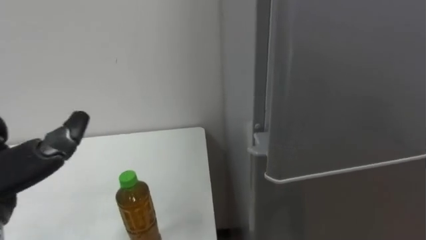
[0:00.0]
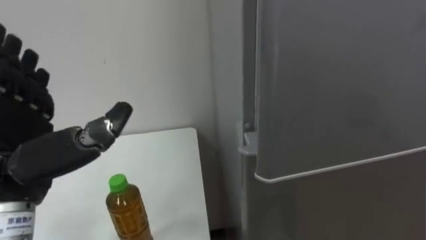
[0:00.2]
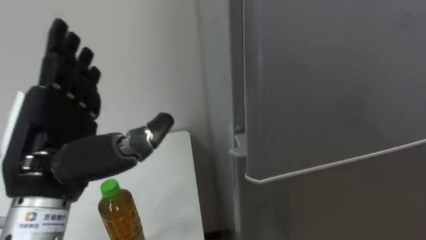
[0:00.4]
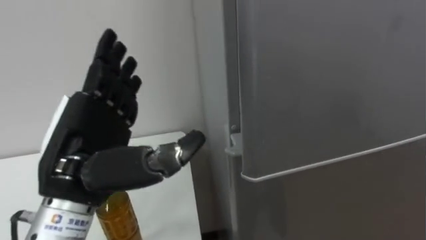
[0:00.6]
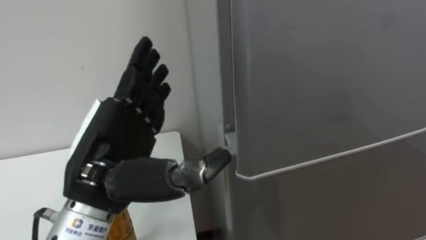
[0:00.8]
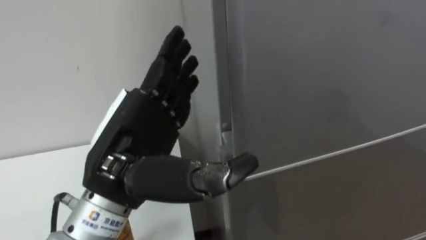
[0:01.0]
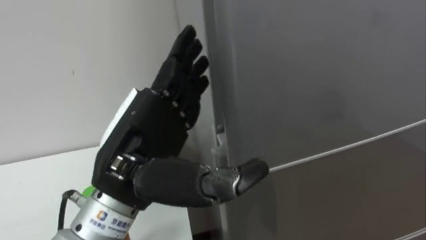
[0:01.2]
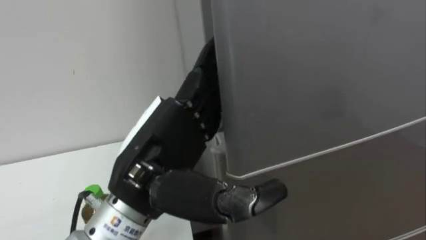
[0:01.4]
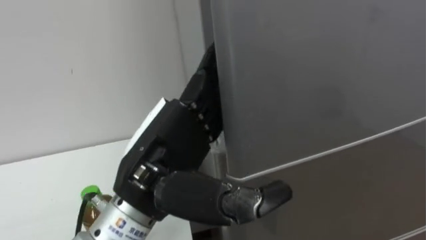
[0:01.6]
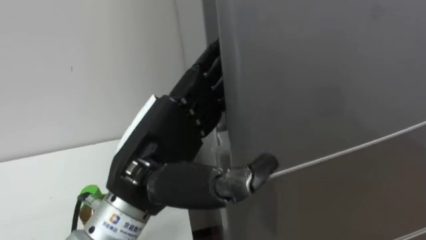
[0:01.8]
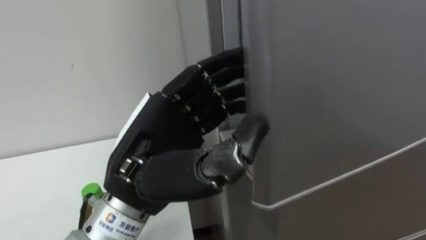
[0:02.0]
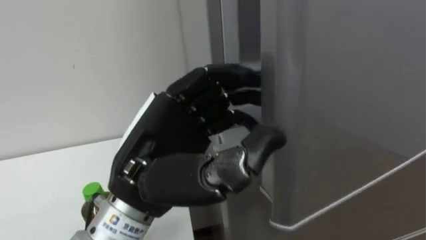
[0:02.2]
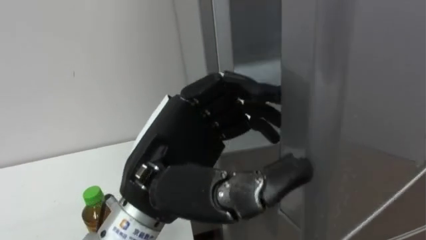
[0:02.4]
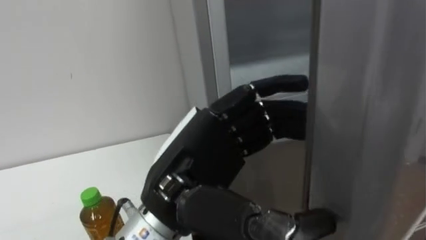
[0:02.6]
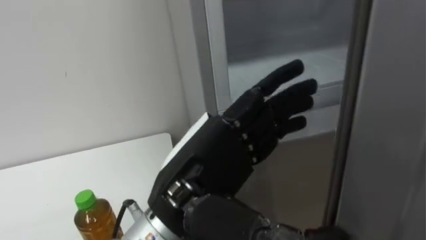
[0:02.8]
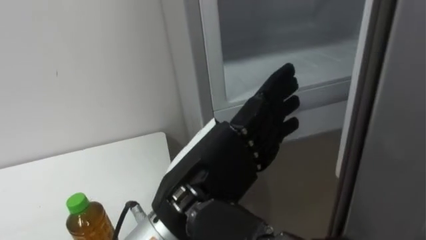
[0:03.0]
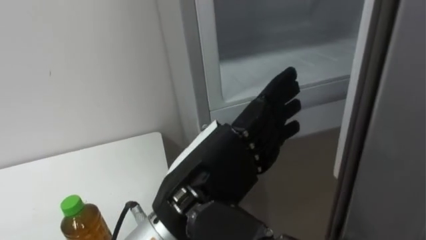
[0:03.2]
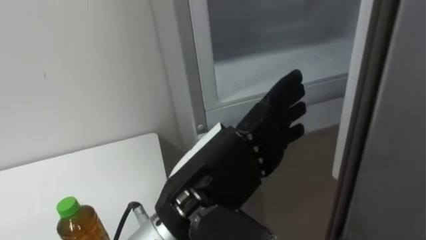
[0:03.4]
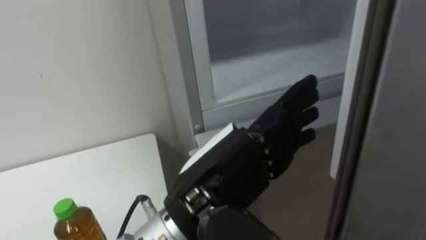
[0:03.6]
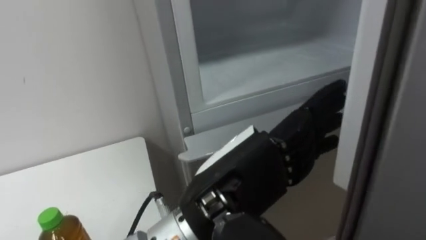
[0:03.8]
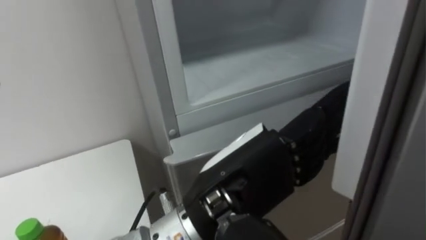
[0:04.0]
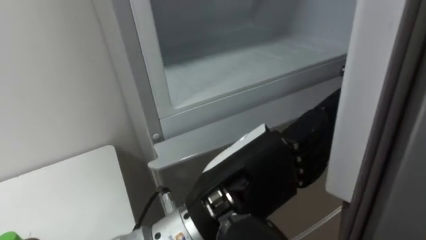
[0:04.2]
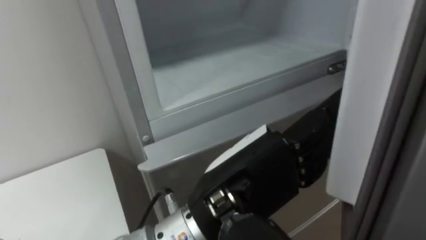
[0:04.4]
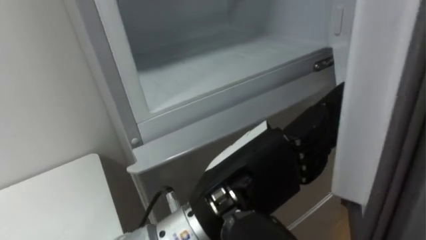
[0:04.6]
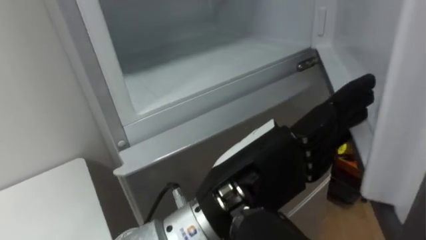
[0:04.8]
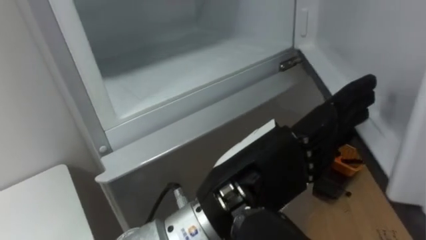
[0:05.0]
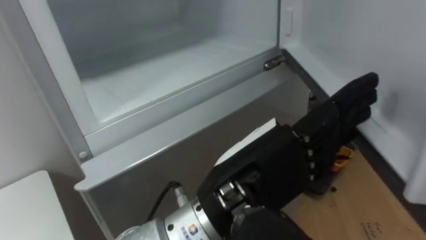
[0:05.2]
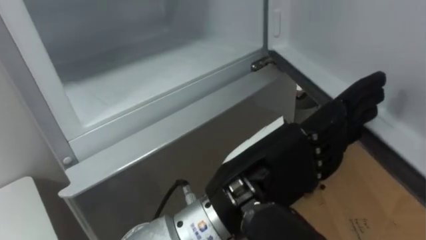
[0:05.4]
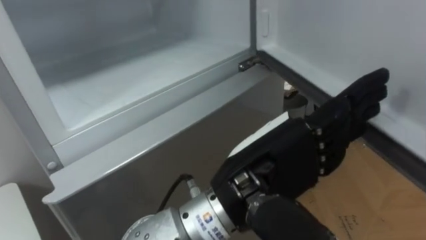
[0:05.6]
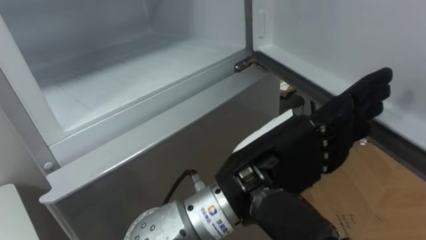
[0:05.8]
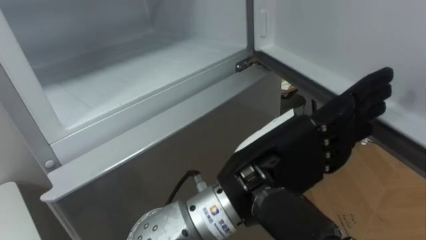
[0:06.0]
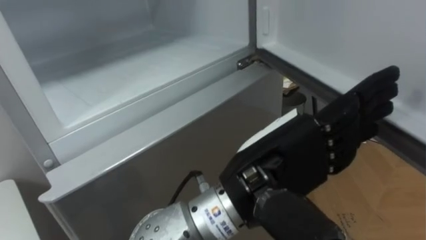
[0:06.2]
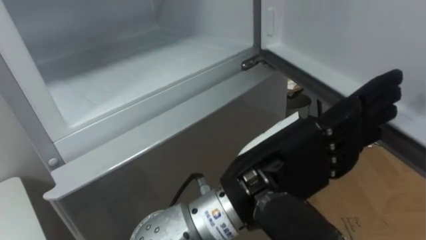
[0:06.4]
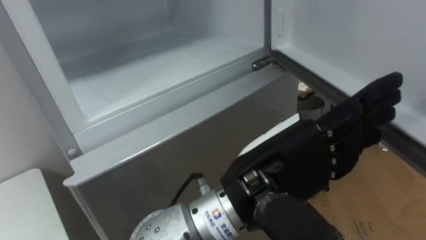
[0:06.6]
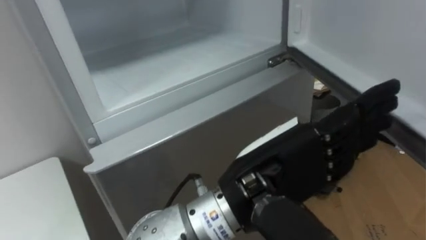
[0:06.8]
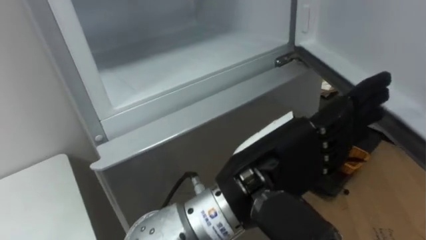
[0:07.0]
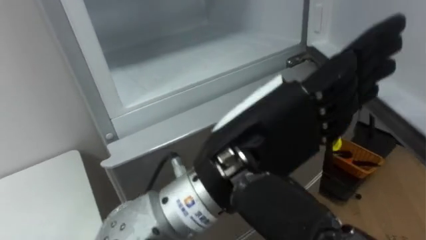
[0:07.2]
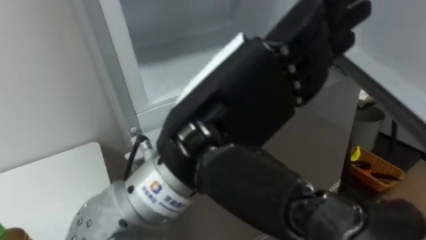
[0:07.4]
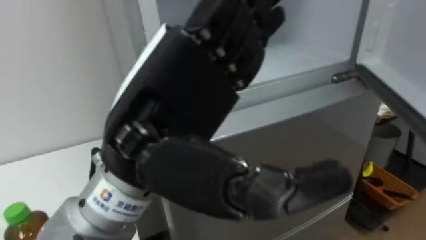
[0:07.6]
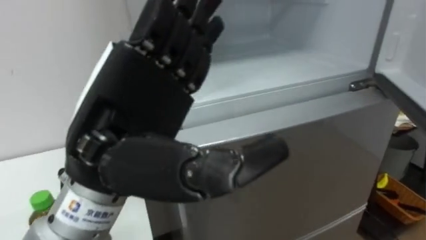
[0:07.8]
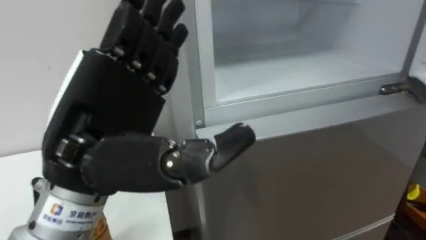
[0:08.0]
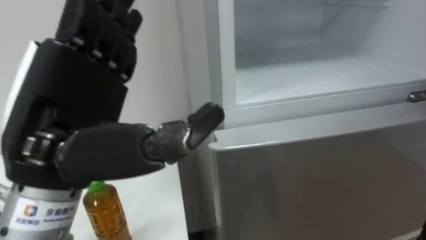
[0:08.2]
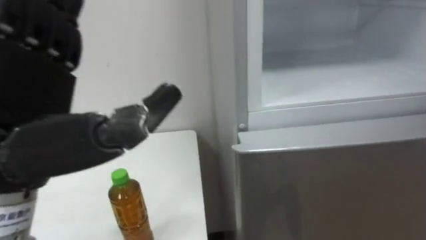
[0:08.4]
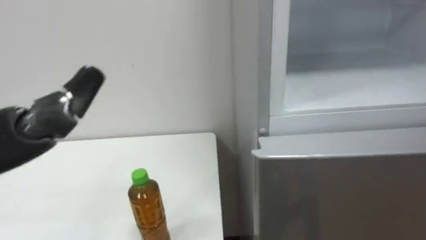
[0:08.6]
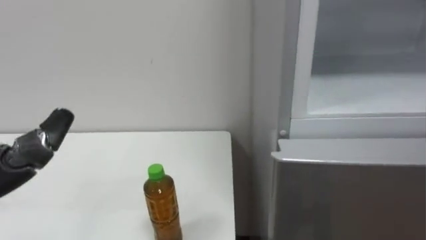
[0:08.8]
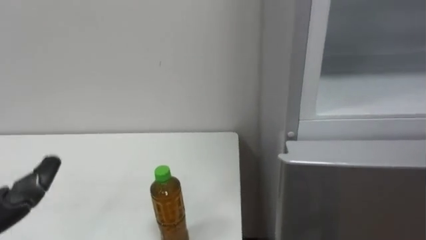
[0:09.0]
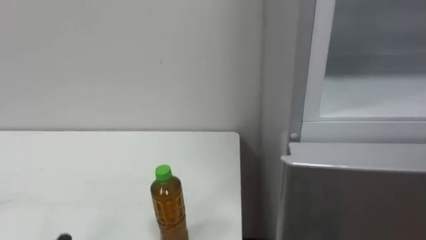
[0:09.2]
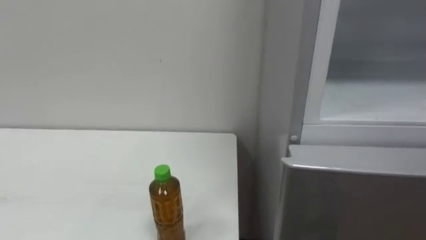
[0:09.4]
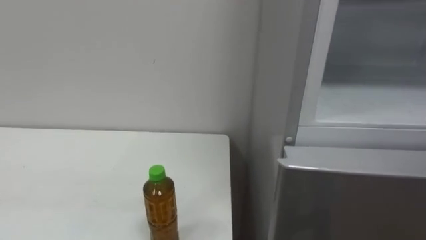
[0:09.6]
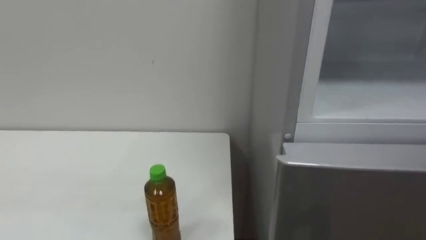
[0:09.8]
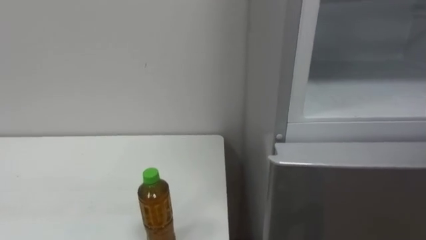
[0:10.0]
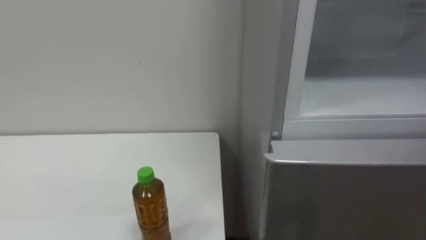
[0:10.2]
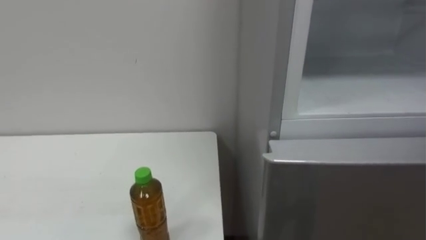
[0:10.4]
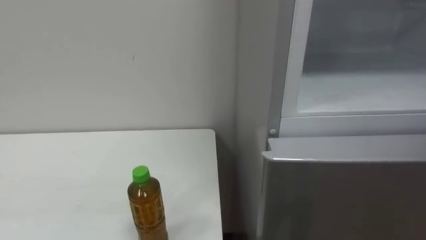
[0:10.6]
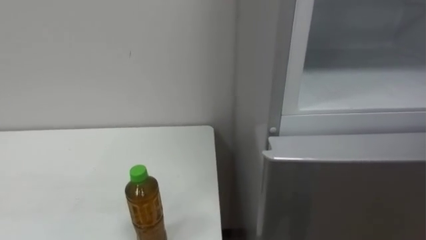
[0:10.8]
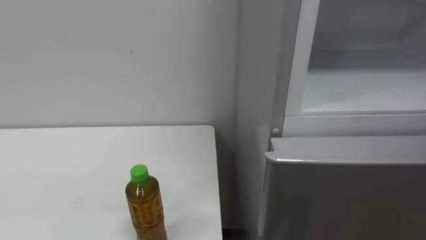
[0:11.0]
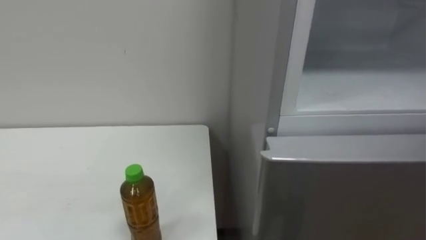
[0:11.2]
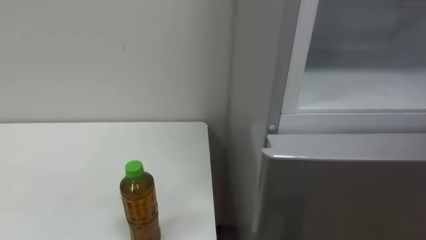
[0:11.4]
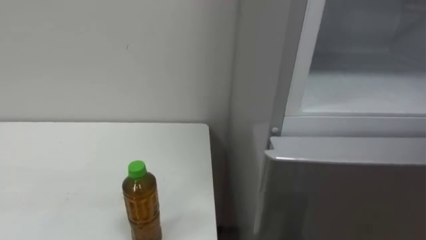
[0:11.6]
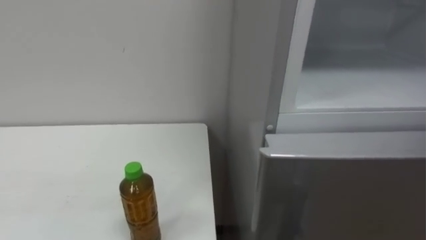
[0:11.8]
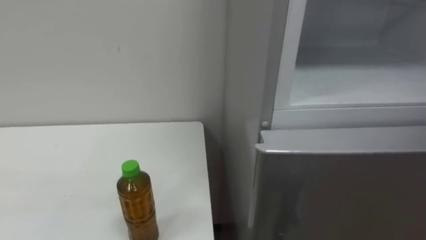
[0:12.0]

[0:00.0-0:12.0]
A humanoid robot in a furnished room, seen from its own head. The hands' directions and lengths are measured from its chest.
Task of the whole recording: Open the upper refrigerator door, put the drink from the table into the refrigerator, and then close the refrigerator door.
0:01.6 to 0:03.0: The left hand closes, then reopens.
0:06.0 to 0:07.6: The left hand goes about 10 cm to the left and upward.

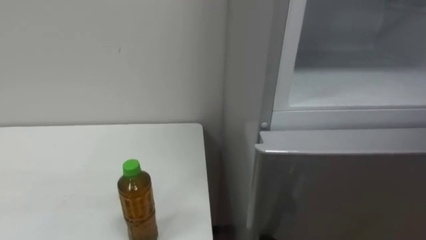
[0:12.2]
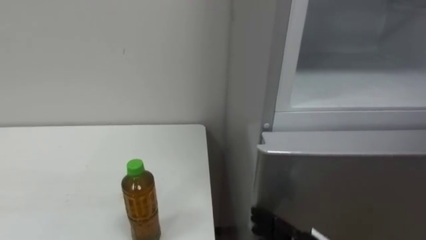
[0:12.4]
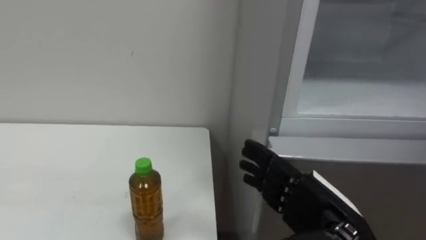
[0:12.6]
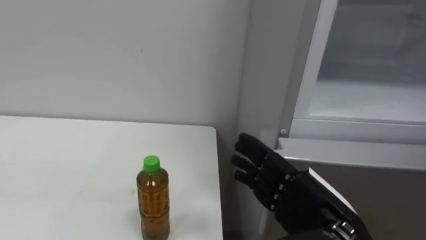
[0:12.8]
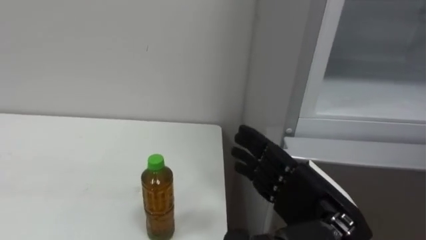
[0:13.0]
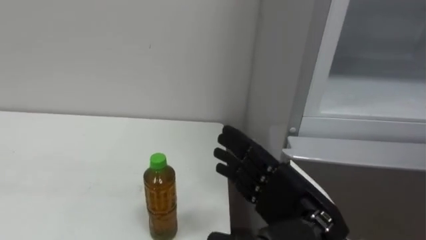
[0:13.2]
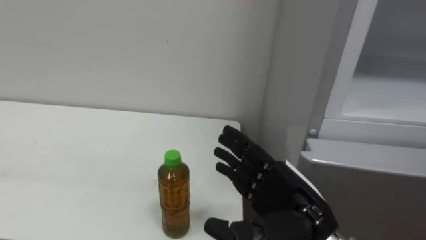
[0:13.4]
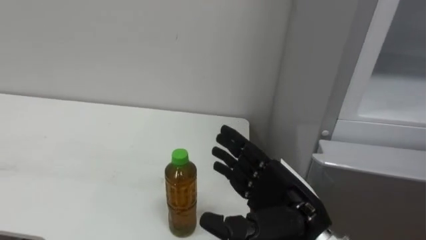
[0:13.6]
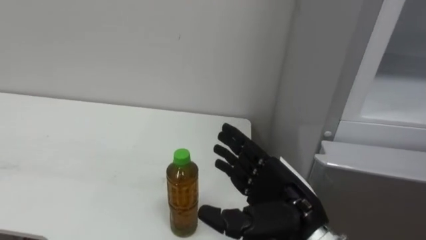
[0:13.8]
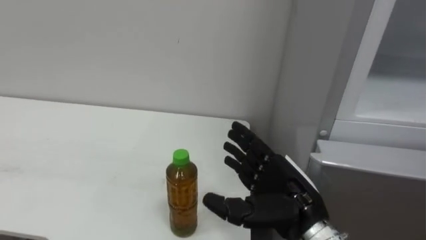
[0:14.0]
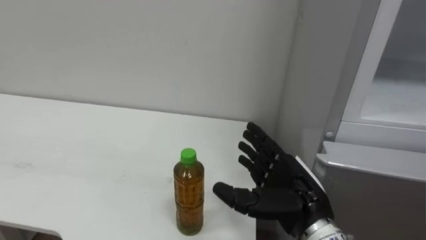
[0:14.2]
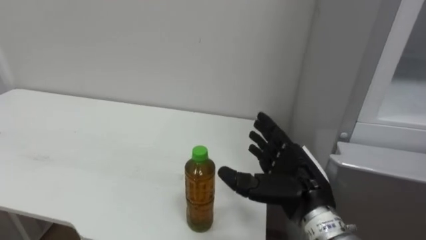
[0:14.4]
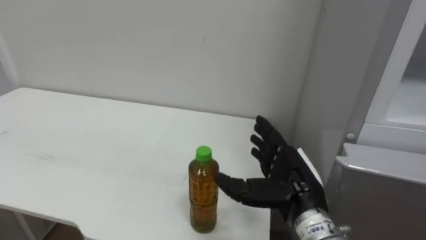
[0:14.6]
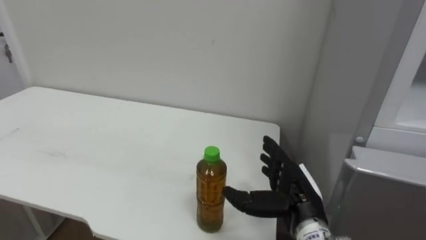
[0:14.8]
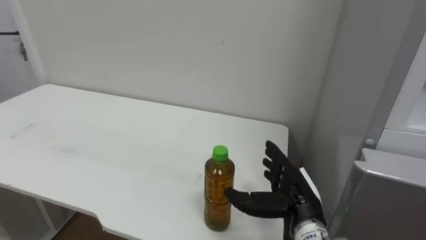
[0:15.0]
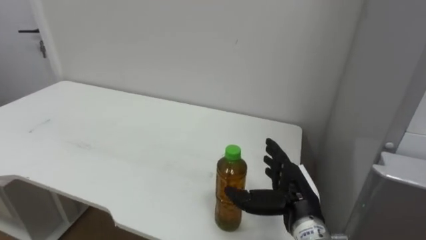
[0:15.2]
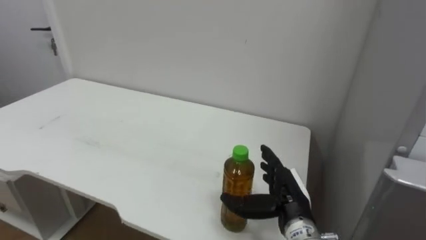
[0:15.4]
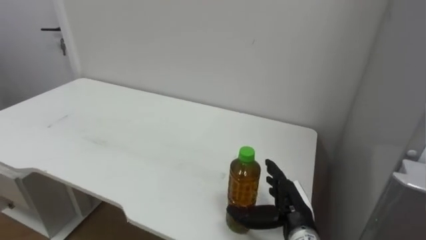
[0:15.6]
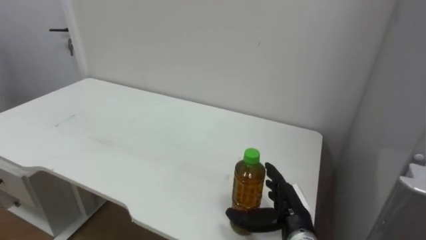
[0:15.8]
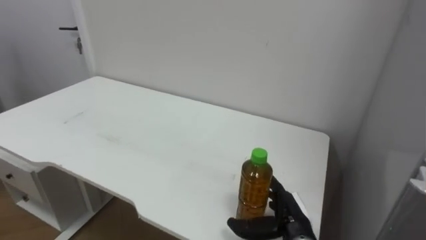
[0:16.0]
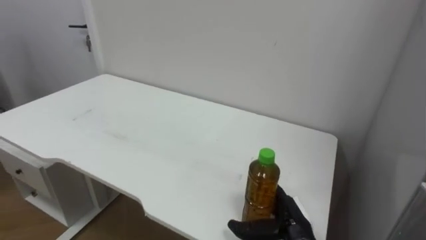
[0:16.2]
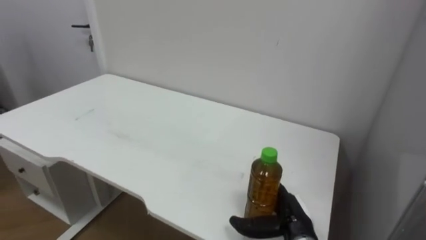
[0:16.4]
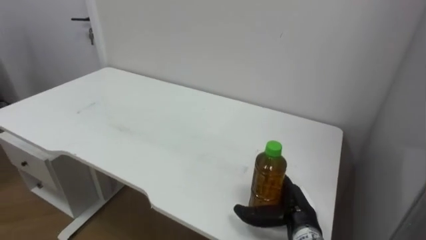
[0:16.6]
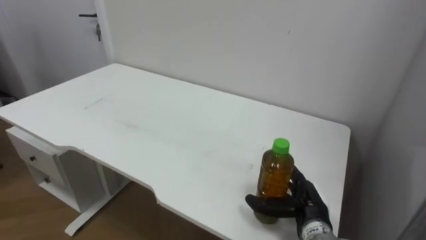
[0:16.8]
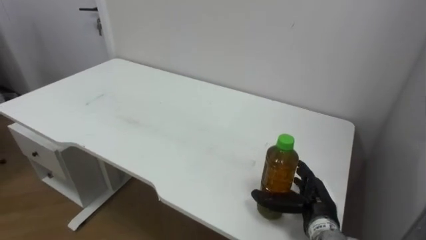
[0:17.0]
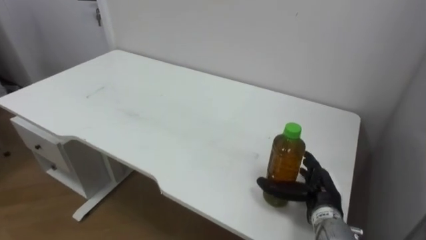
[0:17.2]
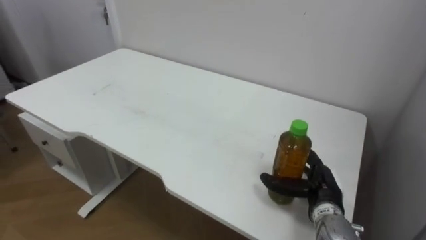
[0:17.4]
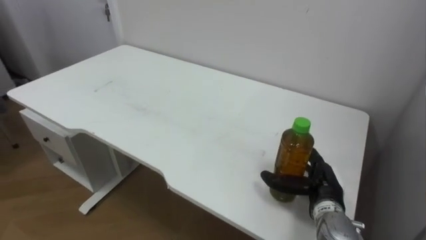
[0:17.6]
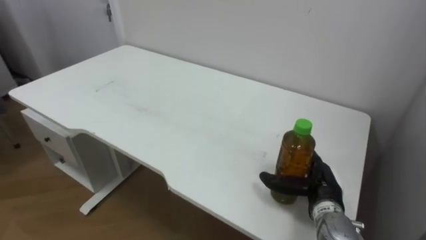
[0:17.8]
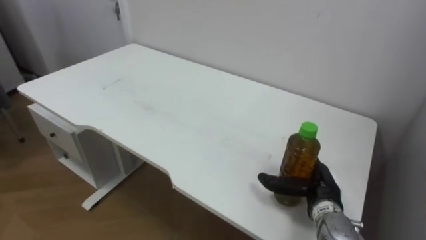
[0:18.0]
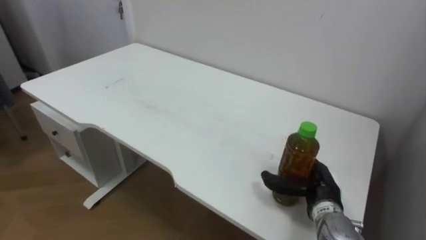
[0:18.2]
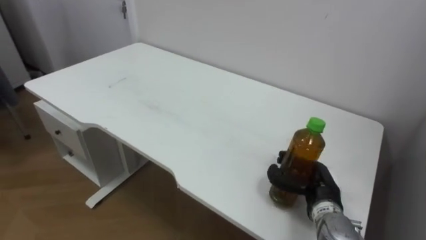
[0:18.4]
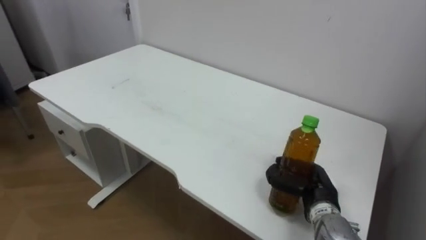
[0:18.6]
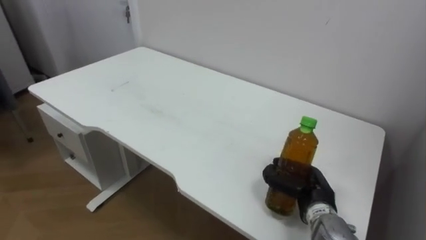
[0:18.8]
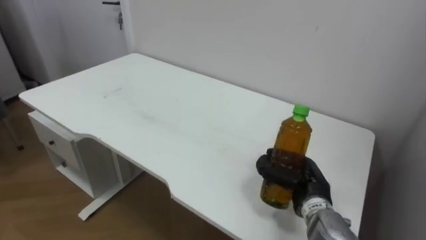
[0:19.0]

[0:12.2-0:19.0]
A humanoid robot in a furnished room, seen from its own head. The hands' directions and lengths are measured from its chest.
Task of the whole recording: Open the upper refrigerator door, put the drink from the table into the refrigerator, and then close the refrigerator door.
0:13.6 to 0:15.0: The right hand goes roughly 10 cm downward and forward.
0:15.0 to 0:16.2: The right hand heads downward, covering approximately 5 cm.
0:16.2 to 0:17.6: The right hand moves to the right, roughly 5 cm.
0:17.6 to 0:19.0: The right hand closes its fingers.
